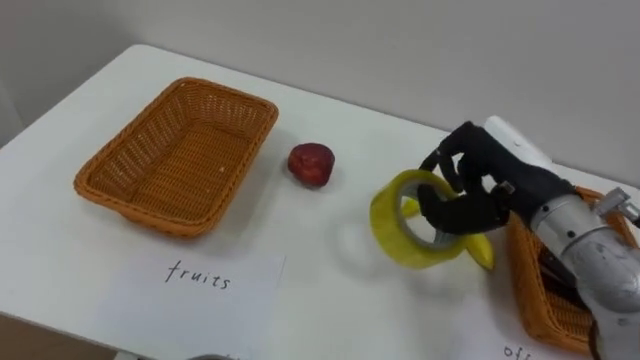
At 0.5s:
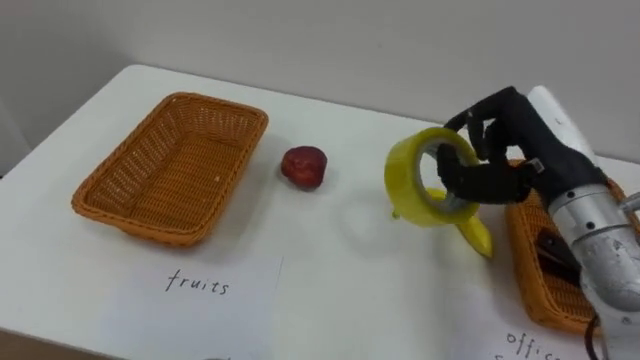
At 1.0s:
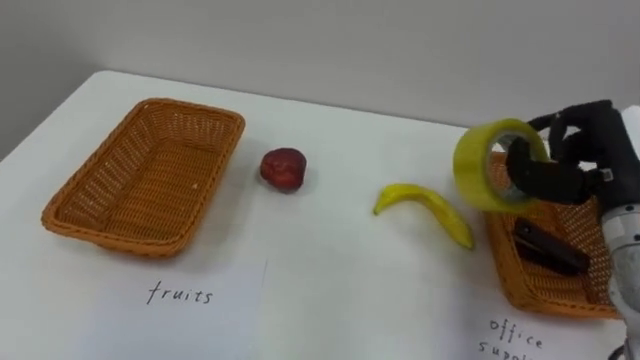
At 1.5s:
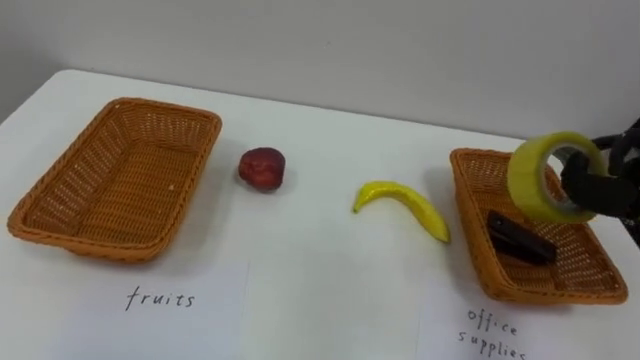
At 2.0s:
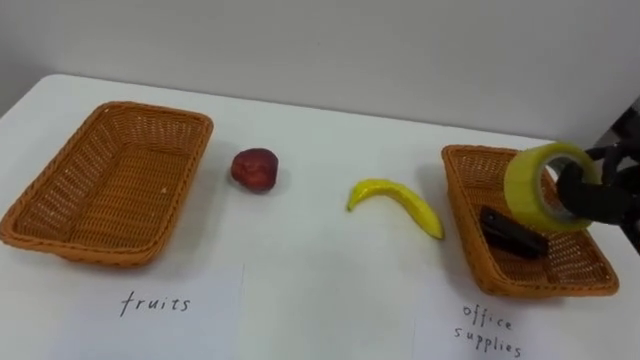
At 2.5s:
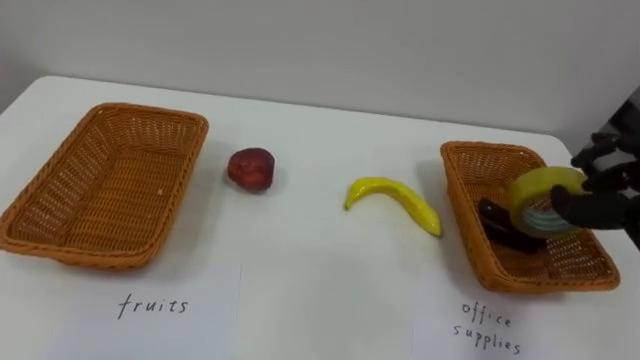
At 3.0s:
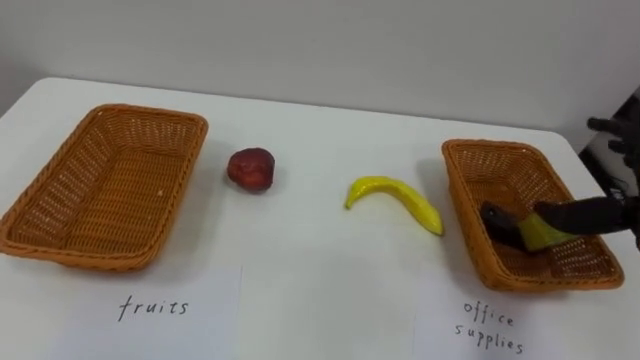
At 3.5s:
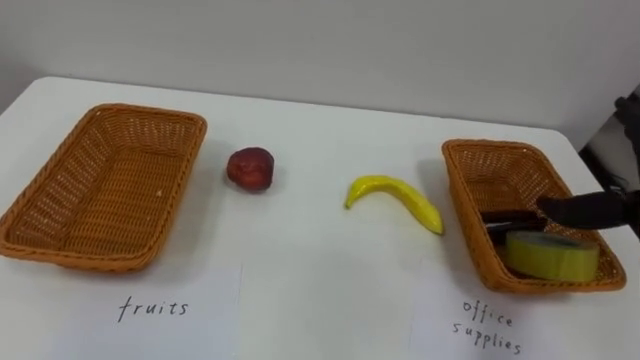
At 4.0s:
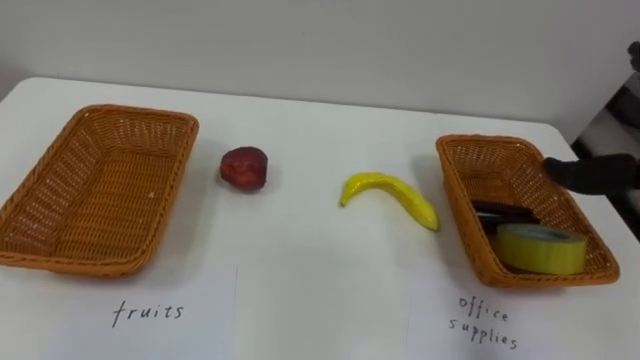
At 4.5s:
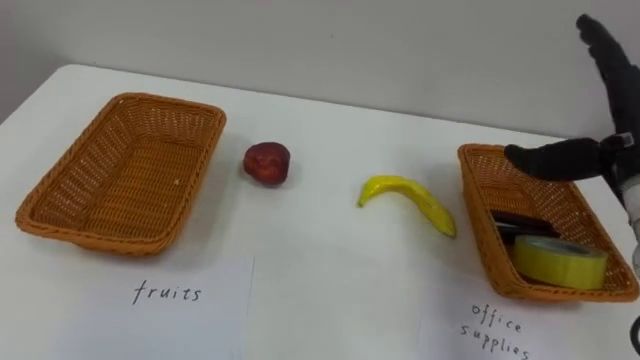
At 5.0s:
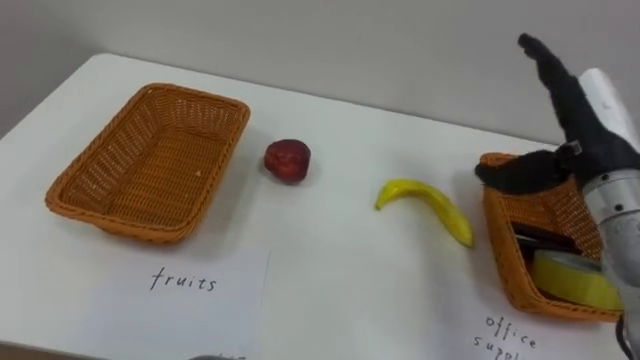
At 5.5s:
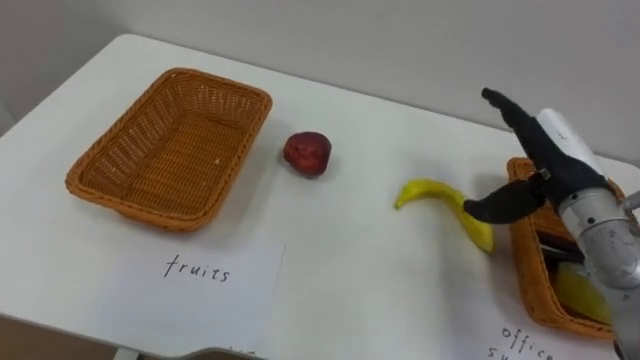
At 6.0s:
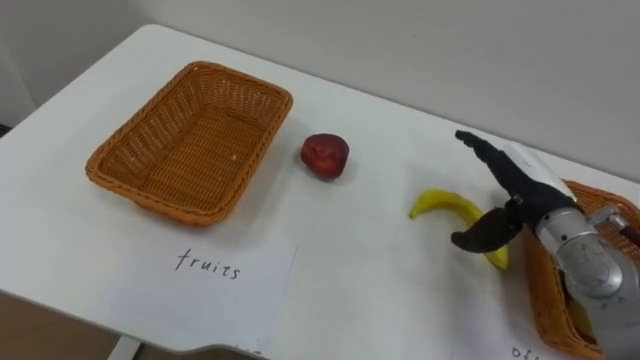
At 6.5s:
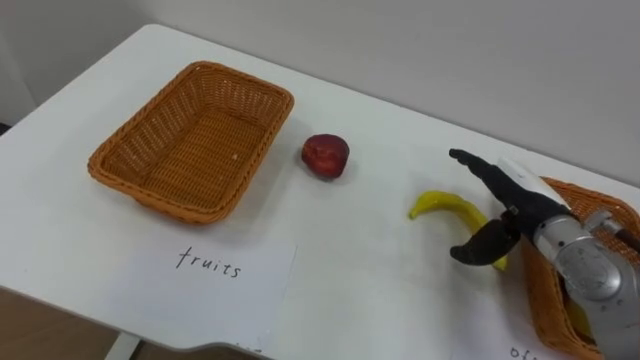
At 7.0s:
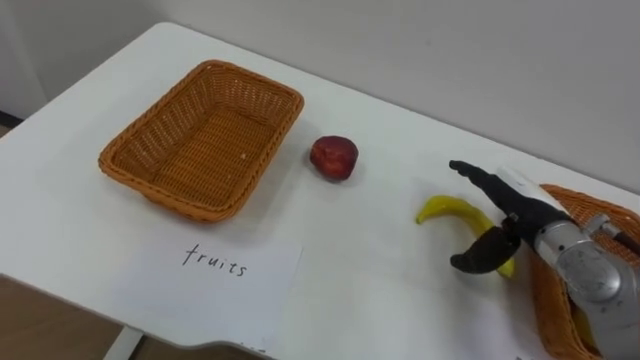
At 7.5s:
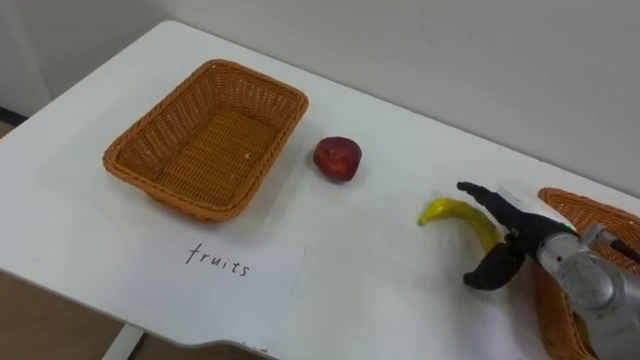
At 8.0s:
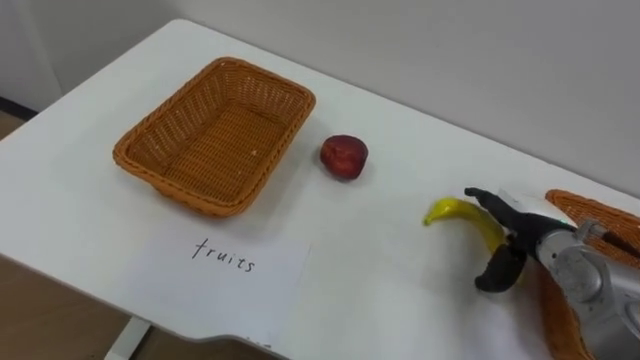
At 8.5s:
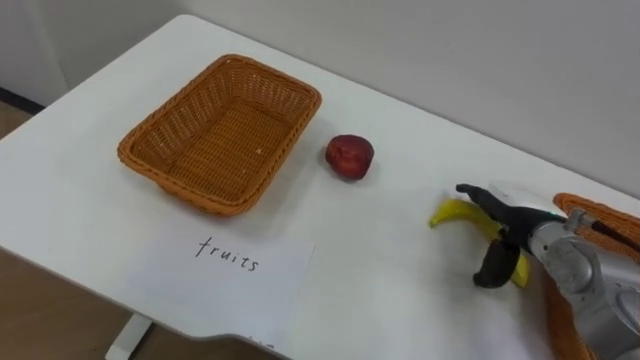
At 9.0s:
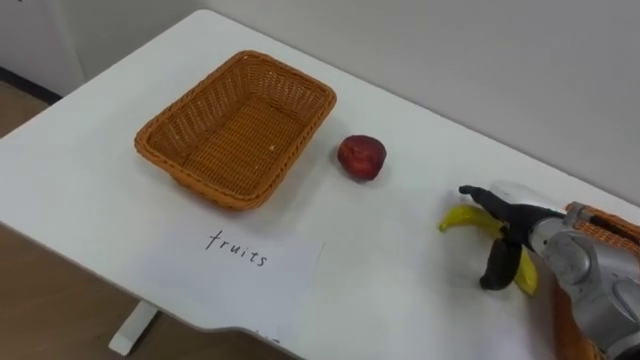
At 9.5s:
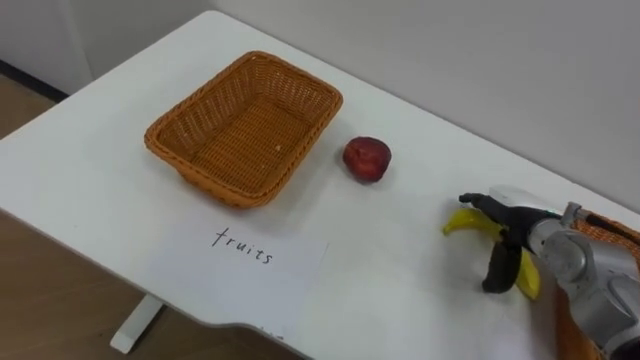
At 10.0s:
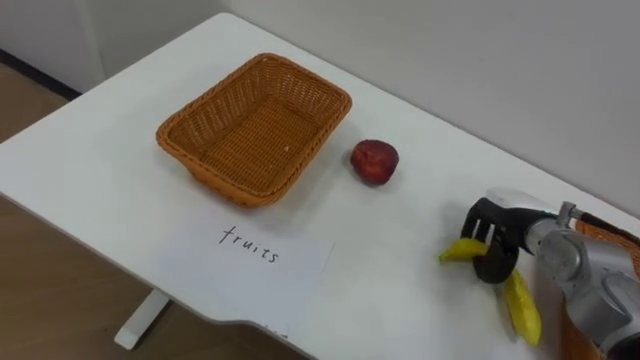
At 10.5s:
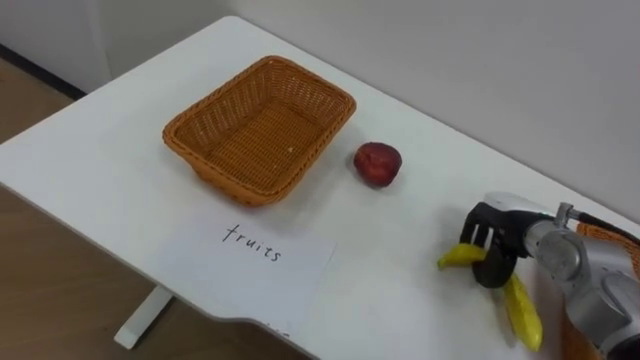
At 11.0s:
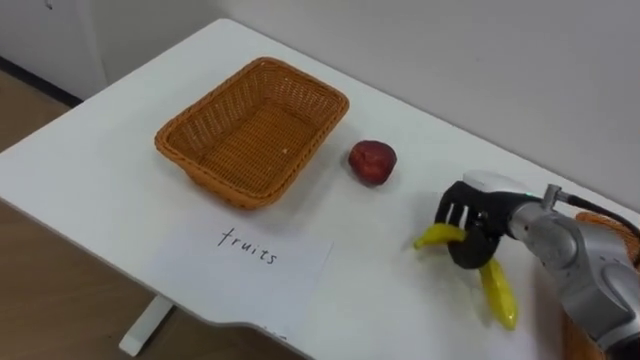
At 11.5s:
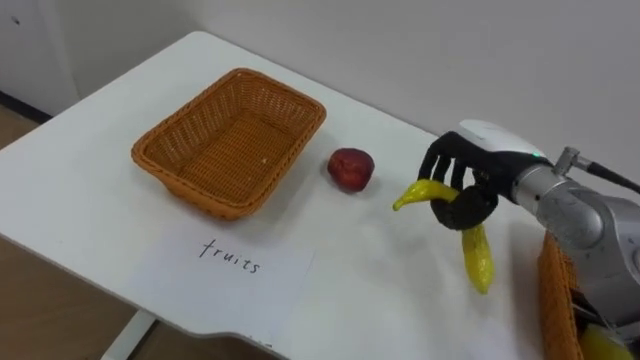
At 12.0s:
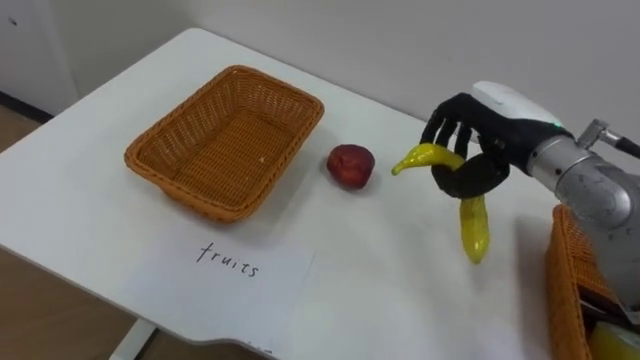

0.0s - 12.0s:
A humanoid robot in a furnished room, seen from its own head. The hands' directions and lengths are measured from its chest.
Task of the whole recording: Separate the items on the table and place them into the two baskets.
6.0s - 8.0s: The right hand is displaced downward by approximately 5 cm.
8.0s - 10.0s: The right hand closes its fingers.
10.0s - 12.0s: The right hand travels upward by about 15 cm.

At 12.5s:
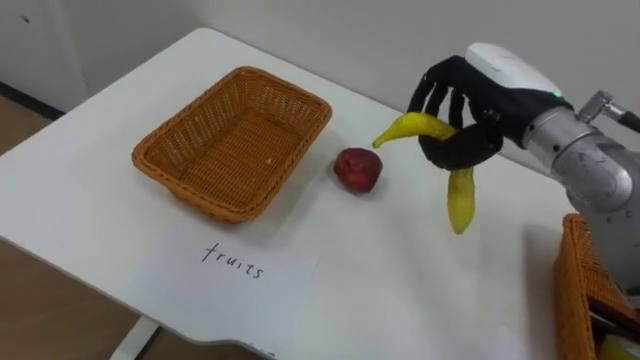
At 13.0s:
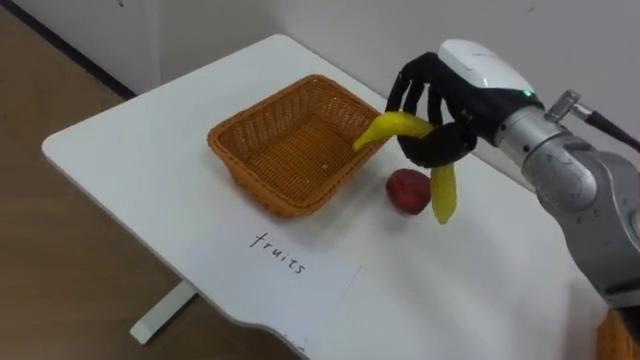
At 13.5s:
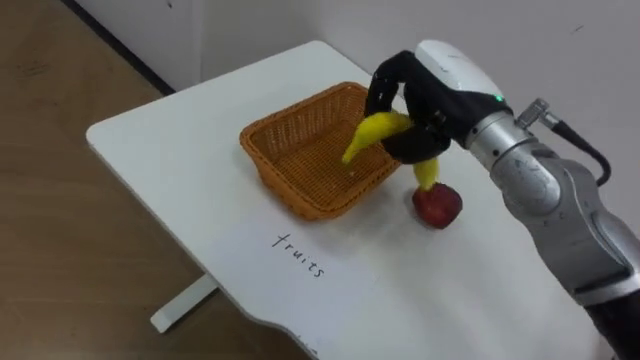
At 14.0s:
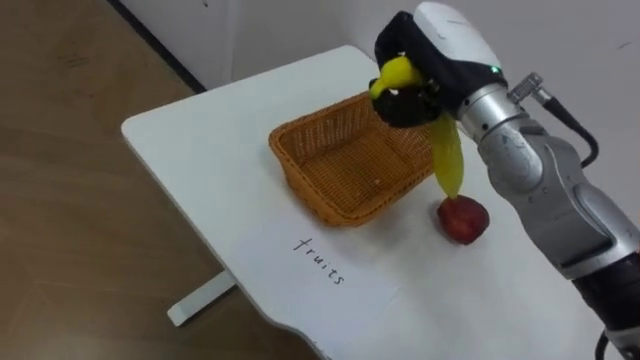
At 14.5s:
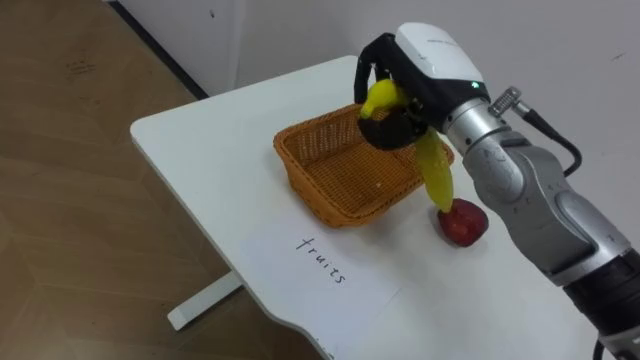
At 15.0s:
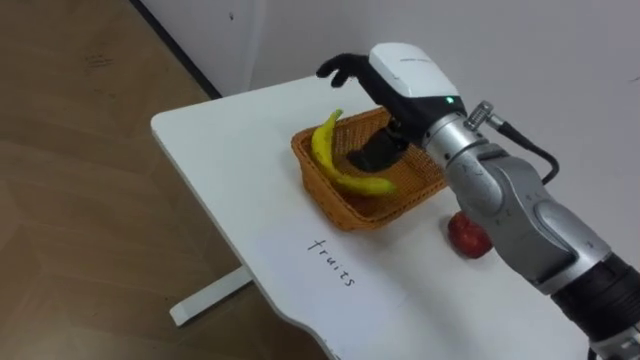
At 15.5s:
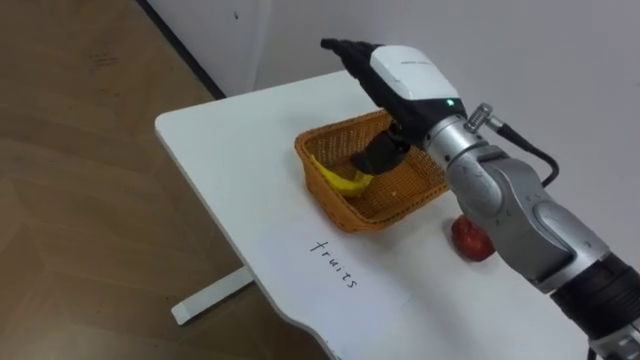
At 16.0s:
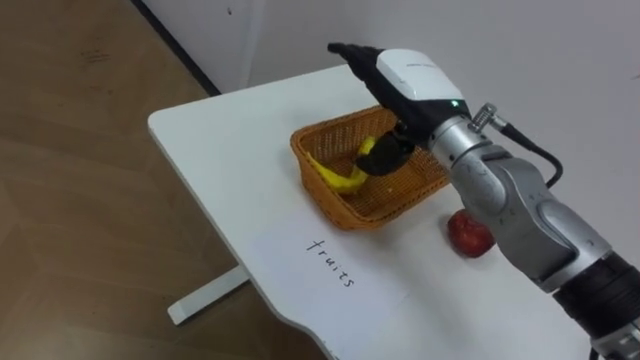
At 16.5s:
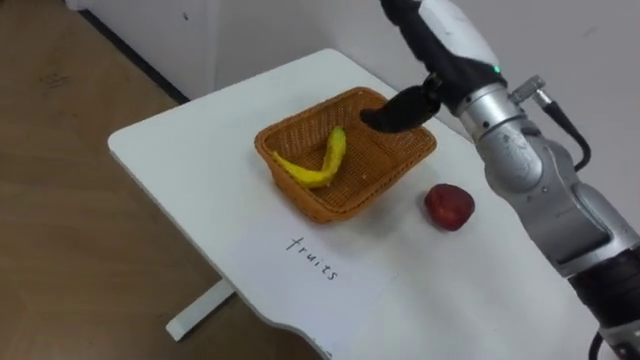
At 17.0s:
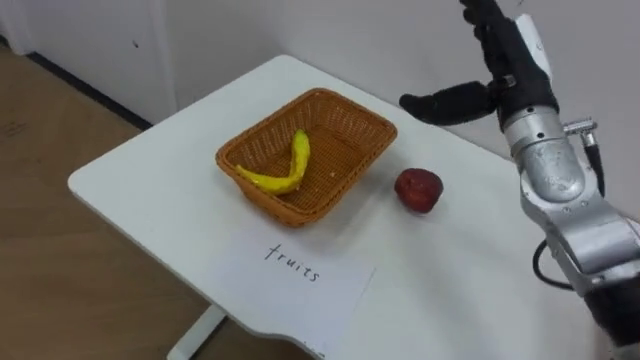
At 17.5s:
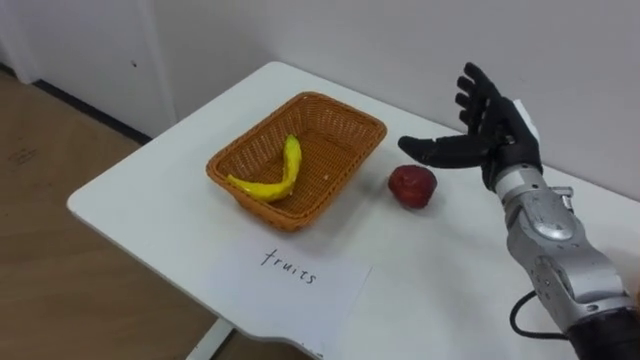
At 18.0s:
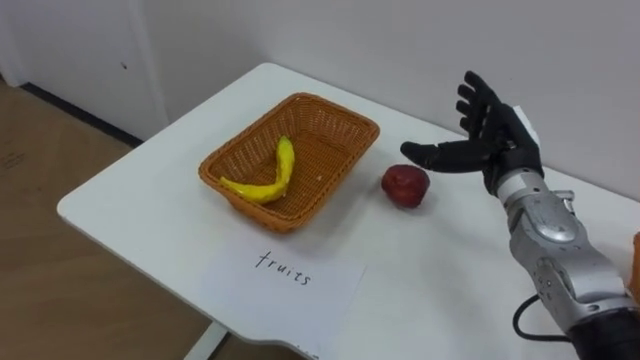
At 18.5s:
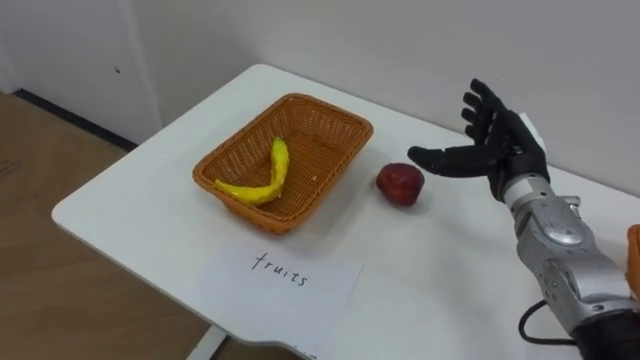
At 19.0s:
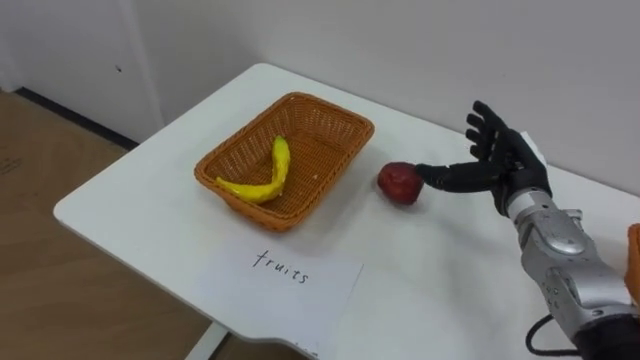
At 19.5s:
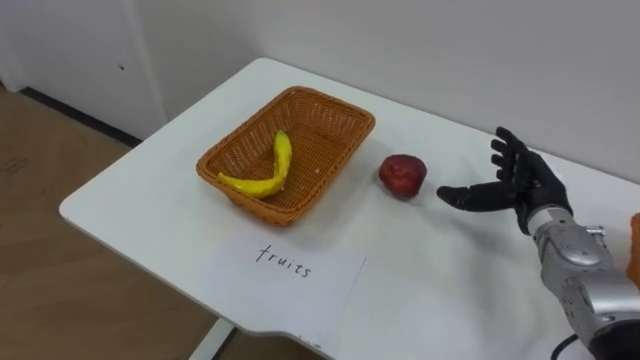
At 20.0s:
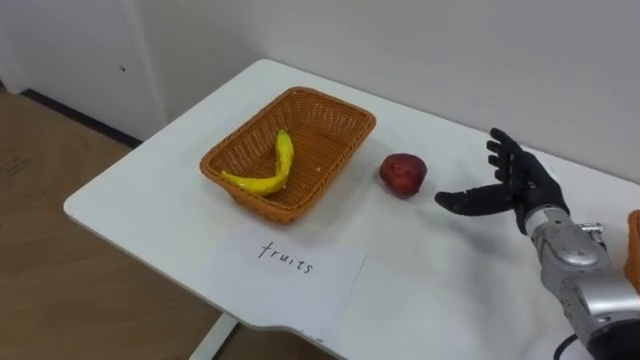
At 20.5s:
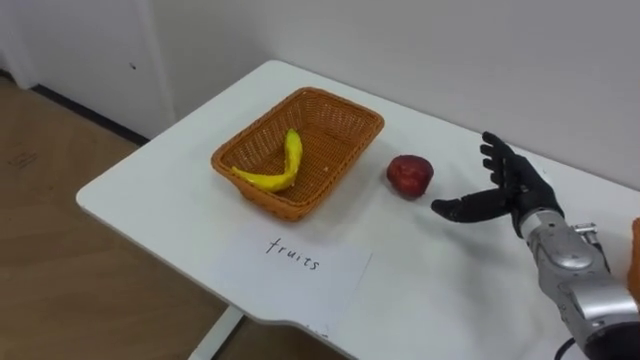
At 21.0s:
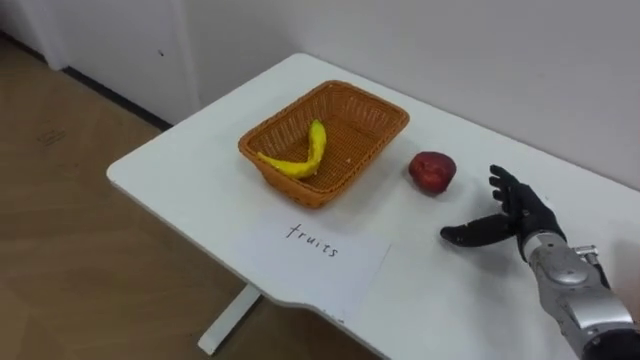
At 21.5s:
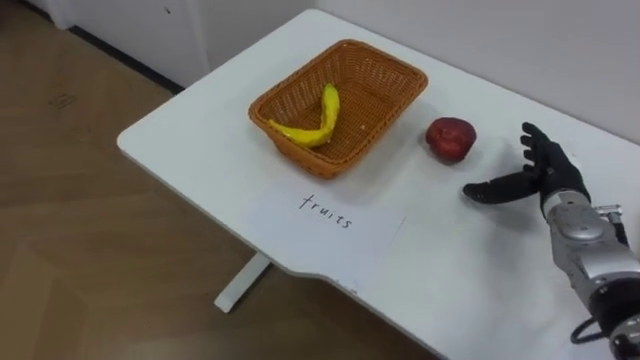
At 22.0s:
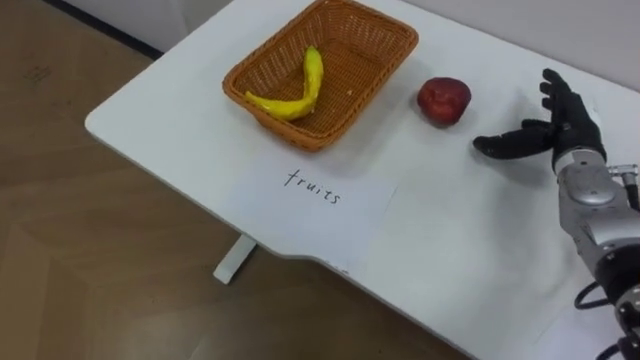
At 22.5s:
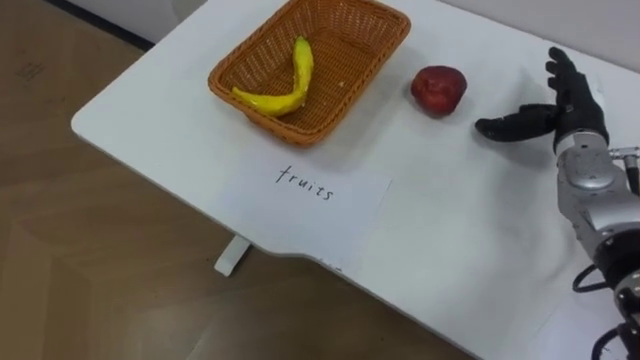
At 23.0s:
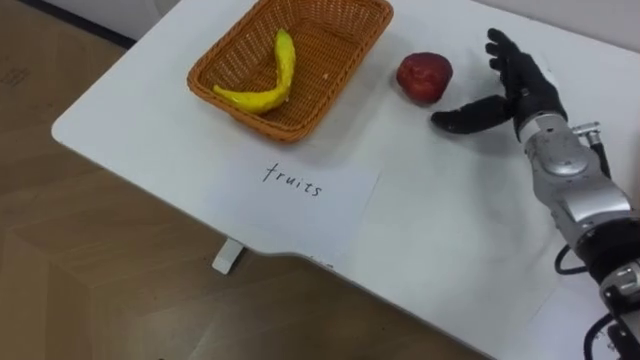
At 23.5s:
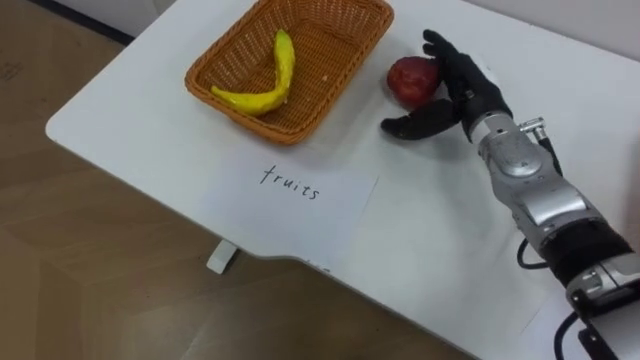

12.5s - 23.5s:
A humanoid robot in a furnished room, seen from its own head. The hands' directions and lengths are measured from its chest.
Task of the whole recording: Separate the items on the table and place them into the two baskets.
12.5s - 14.5s: The right hand travels to the left by roughly 10 cm.
14.5s - 16.0s: The right hand opens.
16.0s - 18.0s: The right hand is displaced to the right and downward by roughly 15 cm.
18.0s - 20.0s: The right hand shifts approximately 10 cm downward and to the right.
21.5s - 23.5s: The right hand heads to the left, upward and forward, covering roughly 15 cm.
